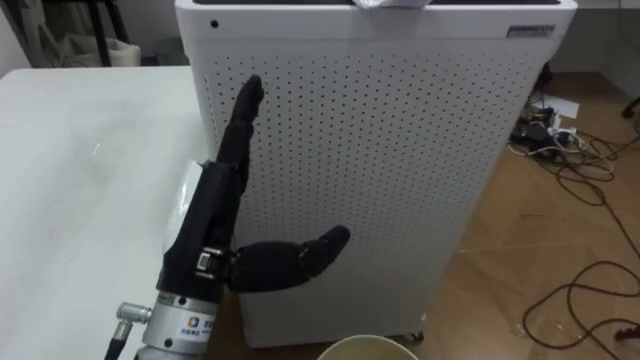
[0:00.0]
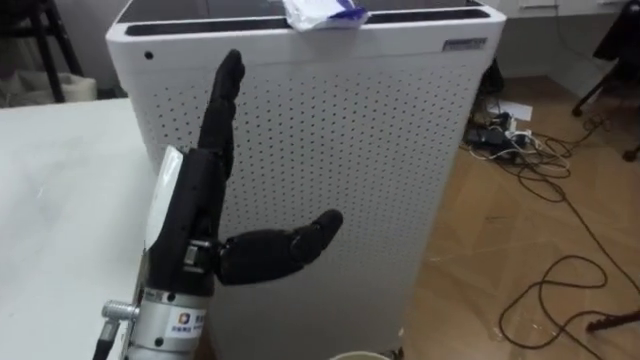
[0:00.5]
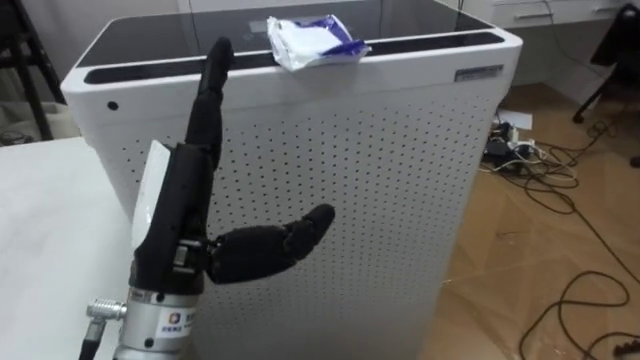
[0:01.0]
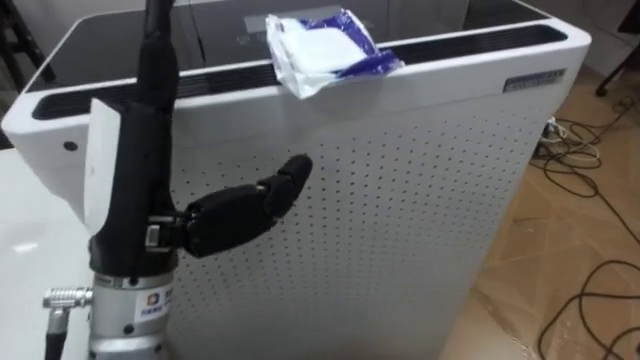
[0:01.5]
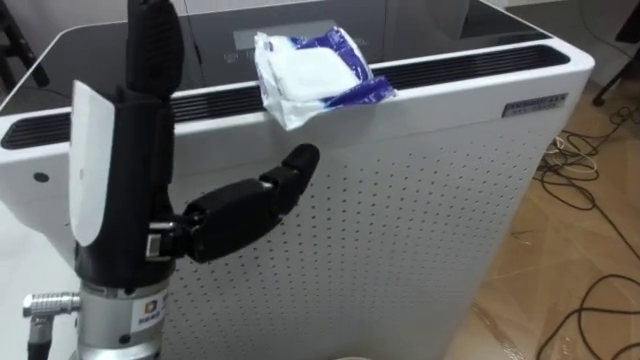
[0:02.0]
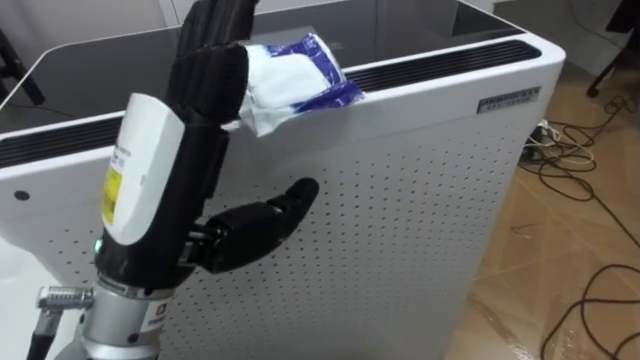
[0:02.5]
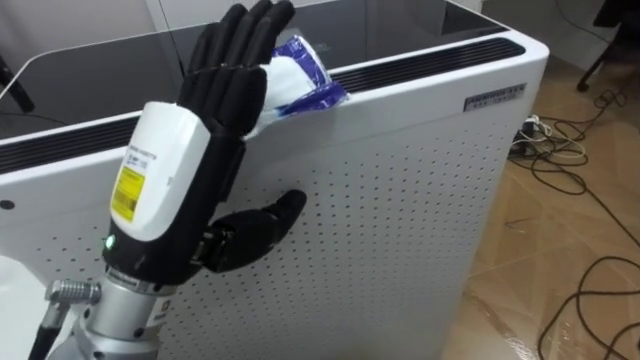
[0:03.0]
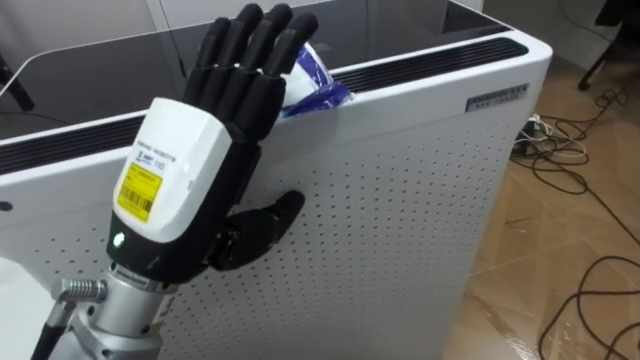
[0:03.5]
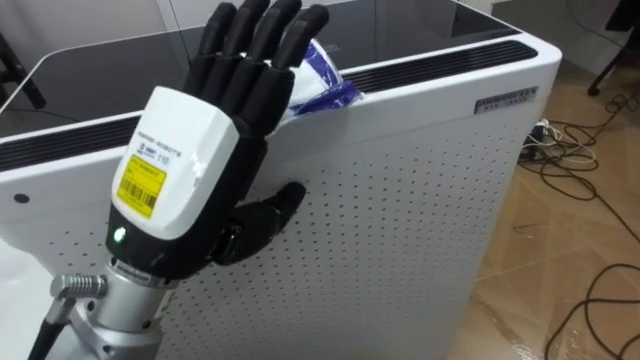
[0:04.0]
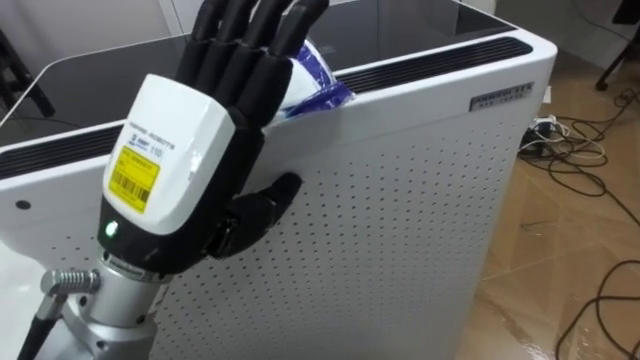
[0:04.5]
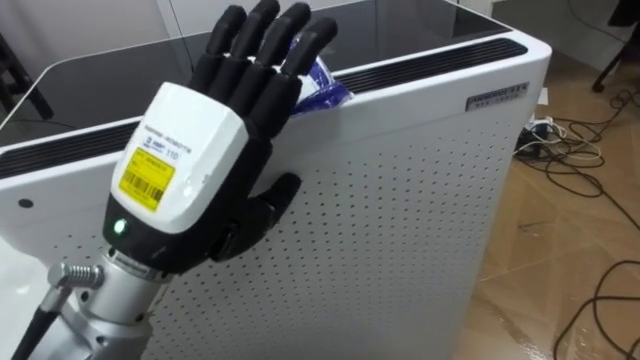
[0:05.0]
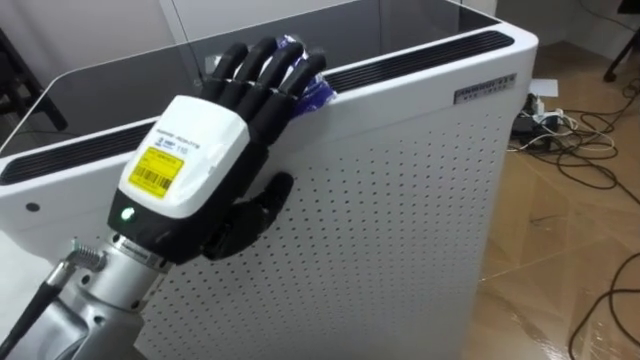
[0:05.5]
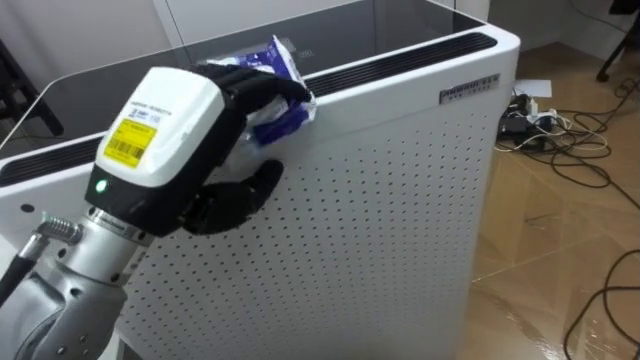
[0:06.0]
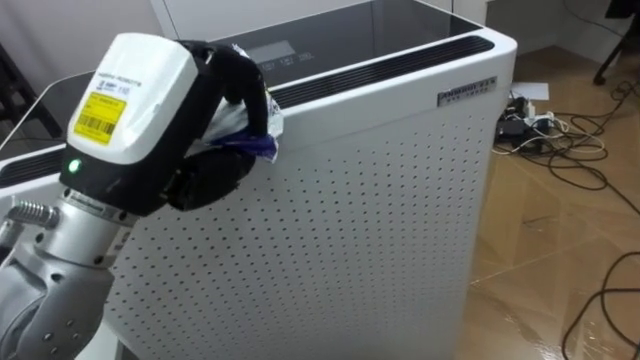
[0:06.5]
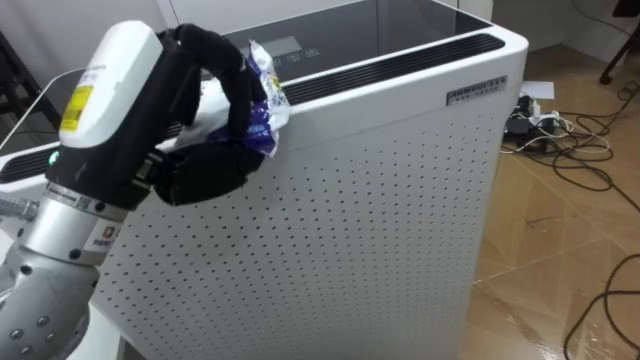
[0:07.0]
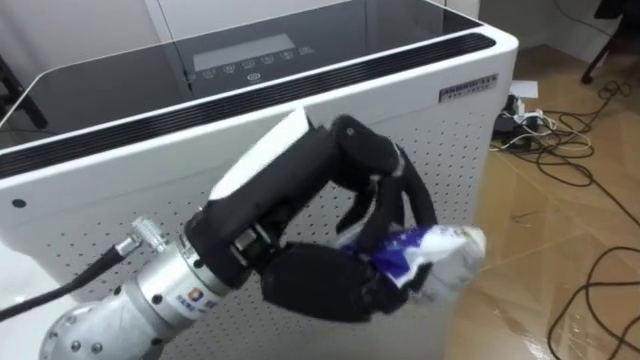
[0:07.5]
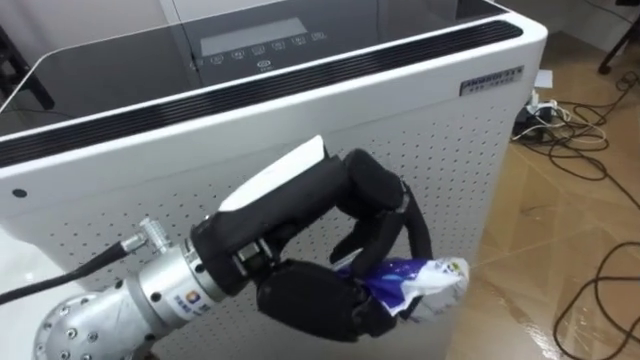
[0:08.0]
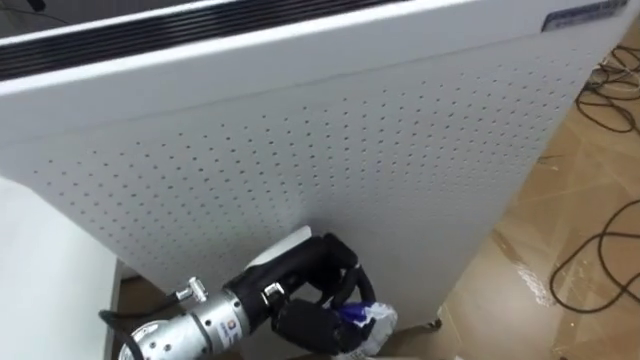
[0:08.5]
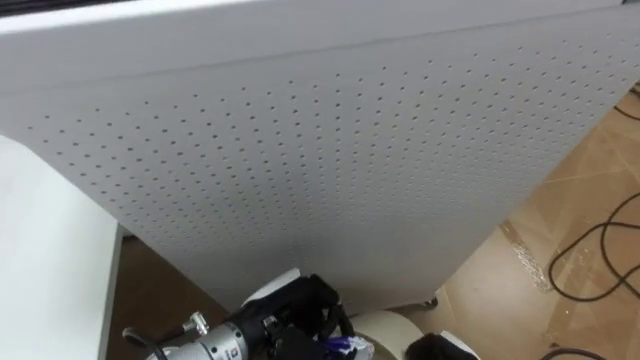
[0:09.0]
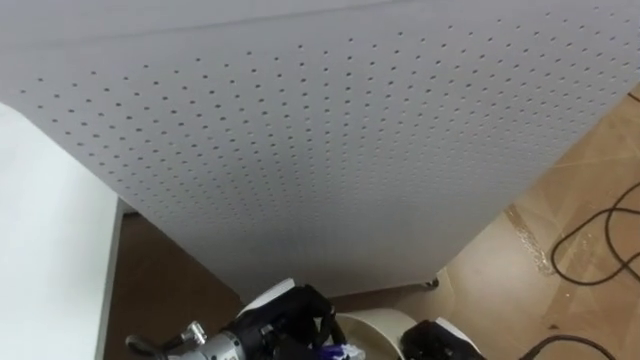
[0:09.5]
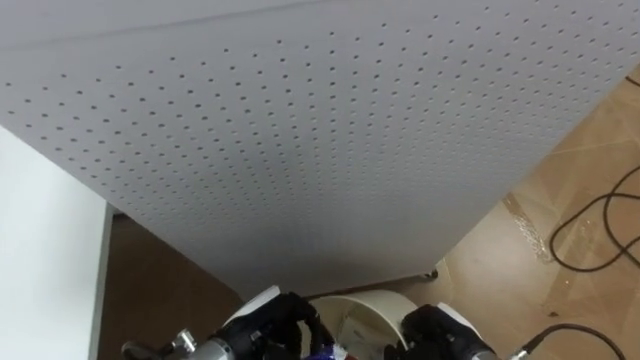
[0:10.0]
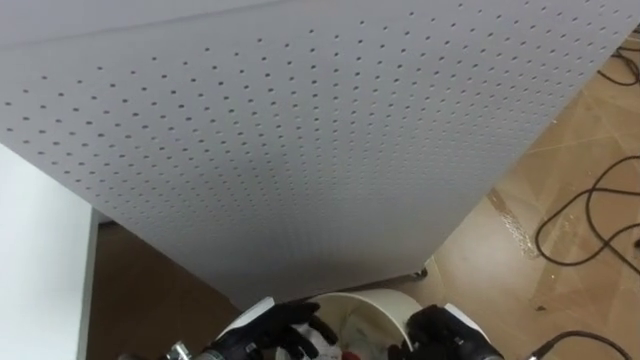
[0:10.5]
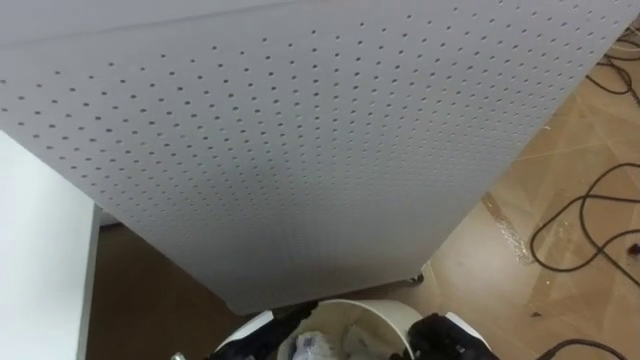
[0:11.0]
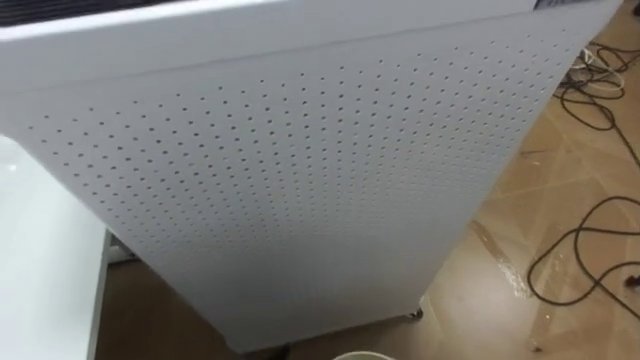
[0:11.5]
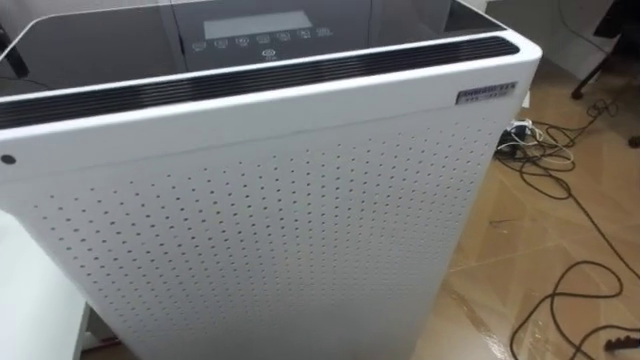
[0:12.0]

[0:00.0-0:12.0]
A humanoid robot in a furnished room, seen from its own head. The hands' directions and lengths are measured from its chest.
Task of the whole recording: Pick up the light blue package, the candy box, and the dark blue package separately, and put them into the trash can held in your right hand.
0:00.0 to 0:02.0: The left hand shifts some 10 cm upward.
0:04.0 to 0:06.0: The left hand closes.
0:06.0 to 0:08.0: The left hand shifts approximately 10 cm to the right, and closes.
0:08.0 to 0:10.0: The left hand travels downward by roughly 25 cm.

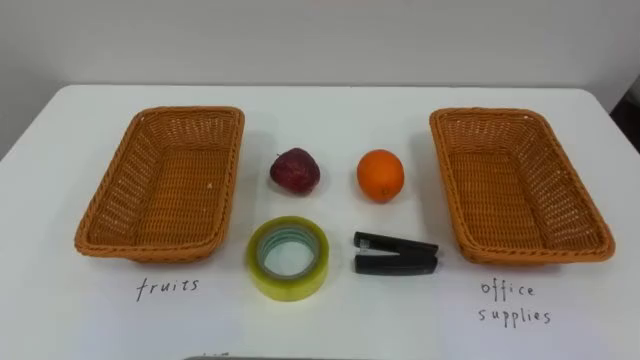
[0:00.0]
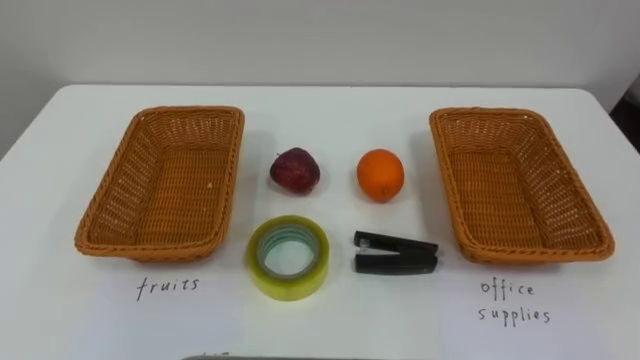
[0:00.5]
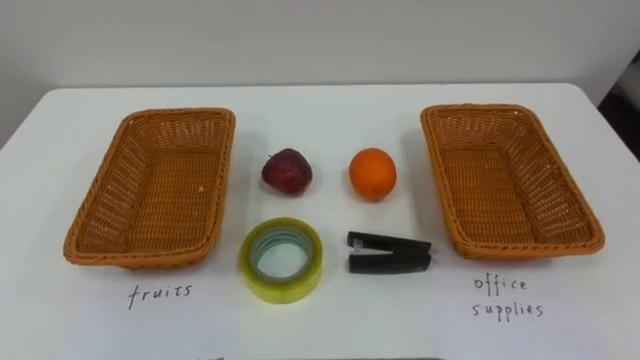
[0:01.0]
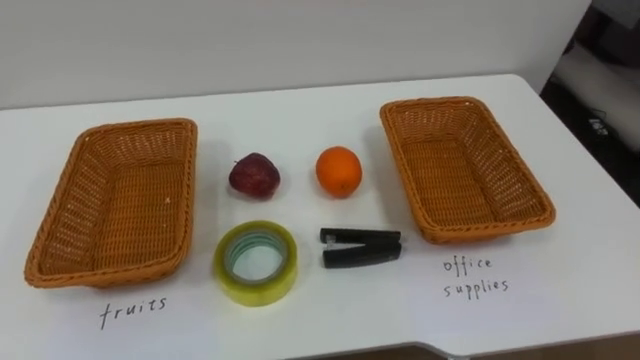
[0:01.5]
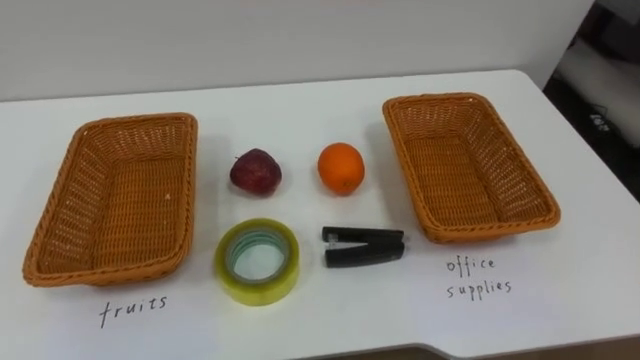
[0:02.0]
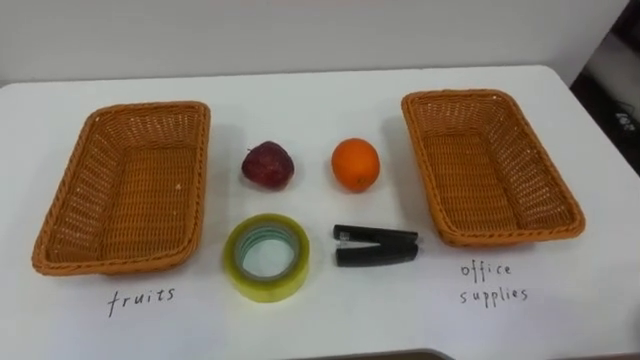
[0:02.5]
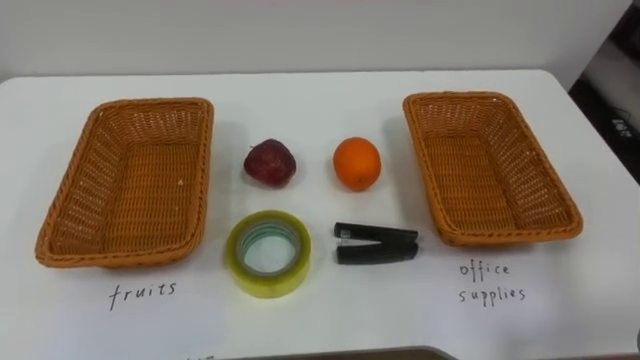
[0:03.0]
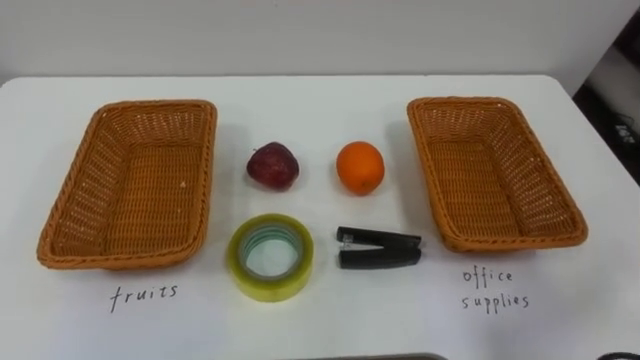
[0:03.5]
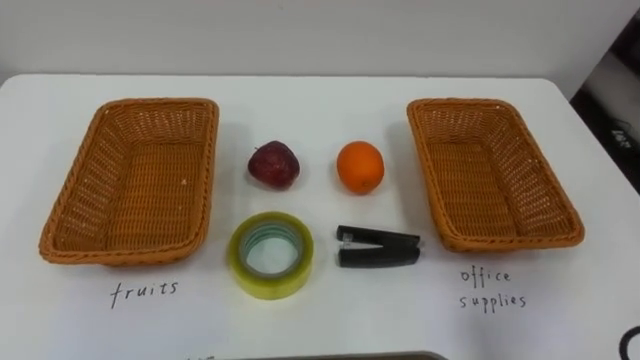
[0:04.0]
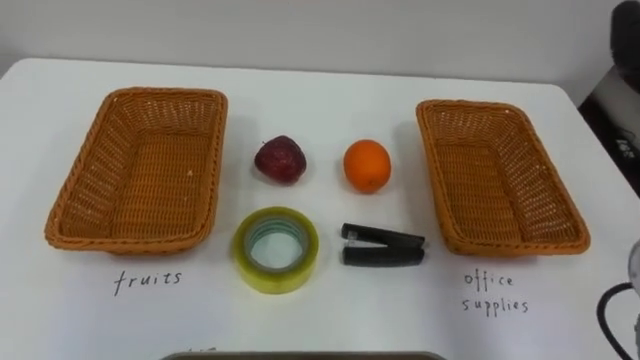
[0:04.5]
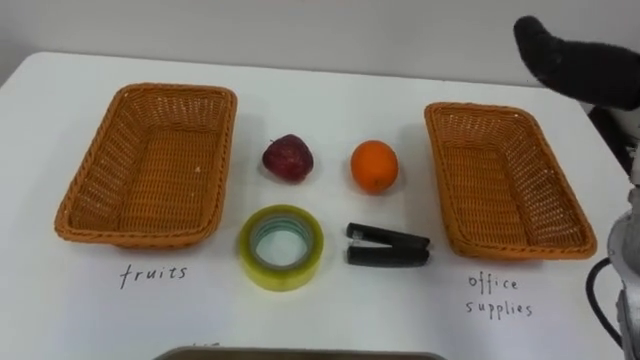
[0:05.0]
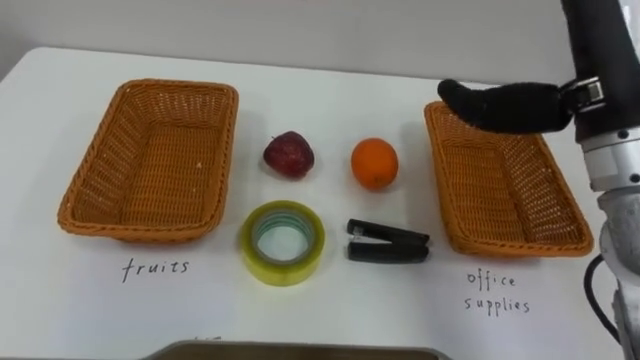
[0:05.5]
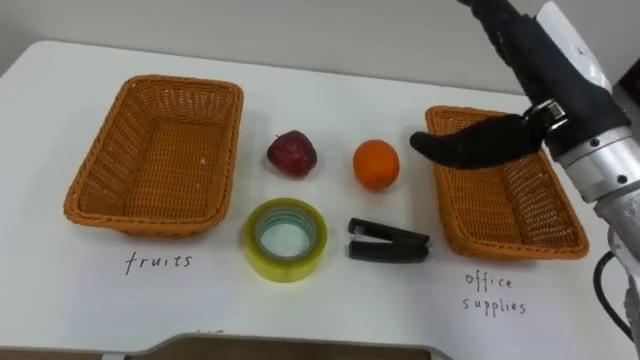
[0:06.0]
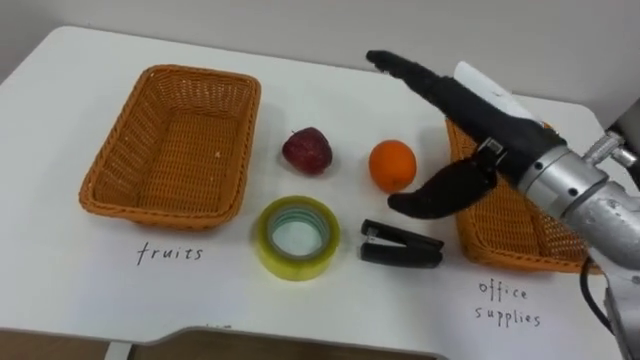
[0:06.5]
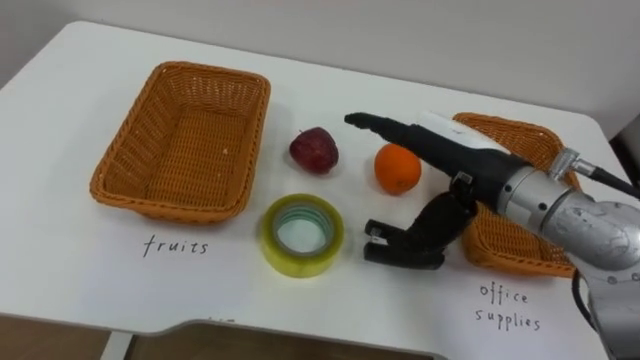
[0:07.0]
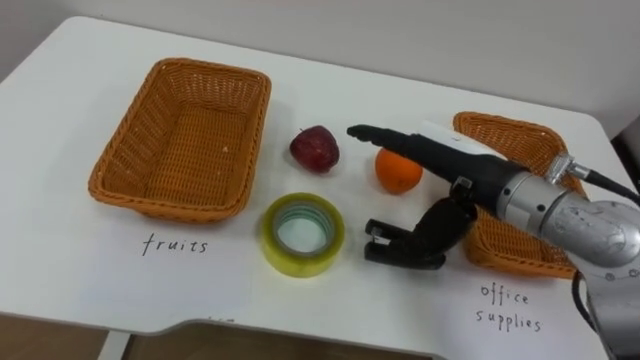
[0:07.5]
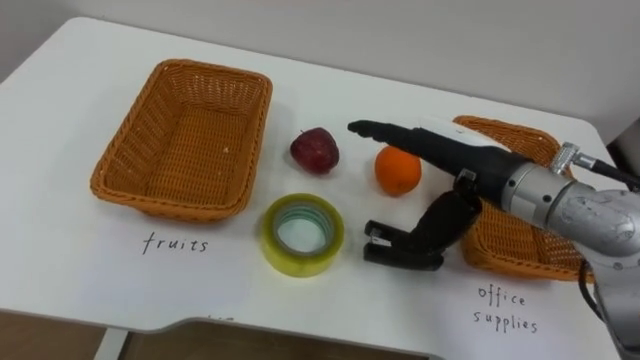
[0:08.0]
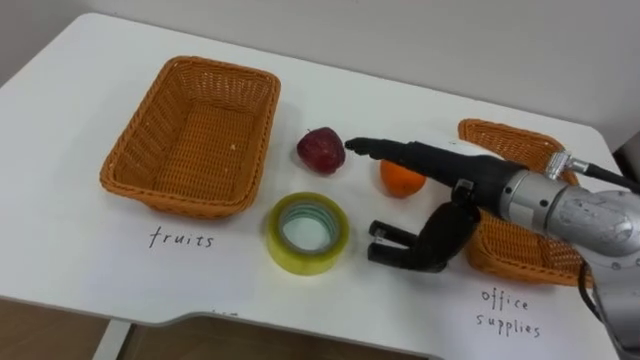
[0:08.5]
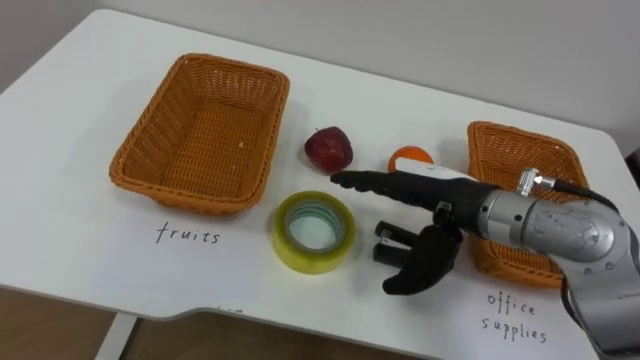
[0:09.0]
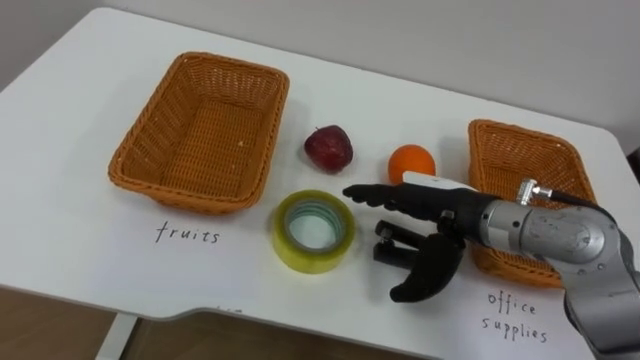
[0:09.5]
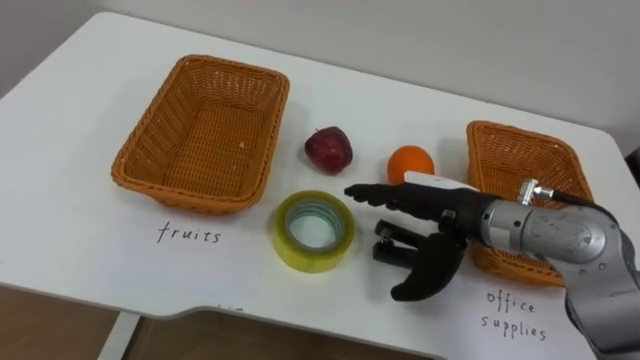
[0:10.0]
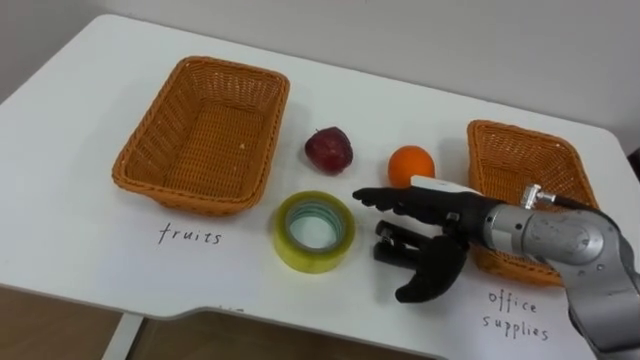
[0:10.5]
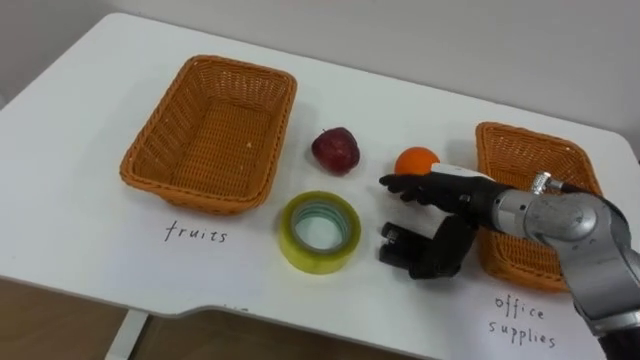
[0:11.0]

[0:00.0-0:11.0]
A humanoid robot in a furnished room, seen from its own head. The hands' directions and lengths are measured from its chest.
Task of the whole recording: Separate the items on the table and place them into the two baskets.
0:05.5 to 0:07.5: The right hand heads downward and to the left, covering roughly 15 cm.
0:09.0 to 0:11.0: The right hand shifts some 5 cm downward.
